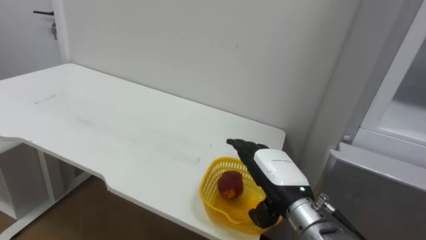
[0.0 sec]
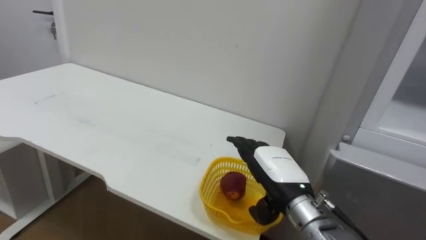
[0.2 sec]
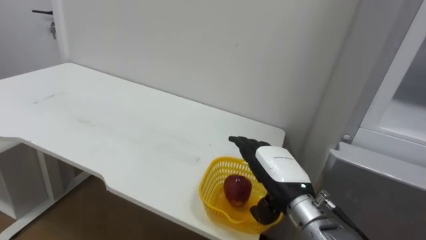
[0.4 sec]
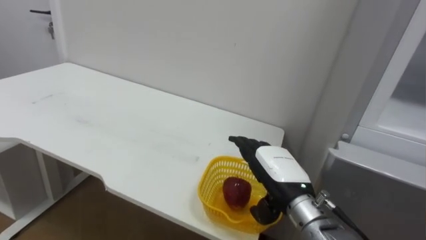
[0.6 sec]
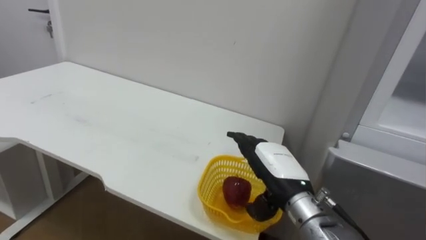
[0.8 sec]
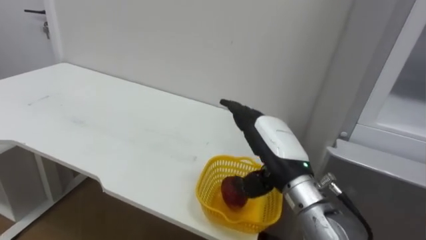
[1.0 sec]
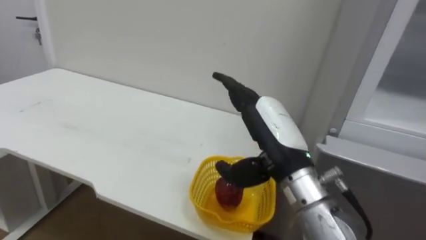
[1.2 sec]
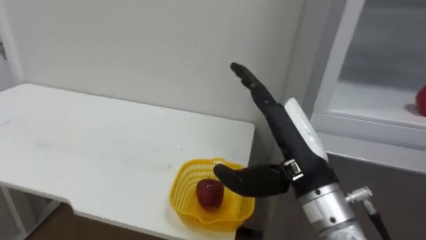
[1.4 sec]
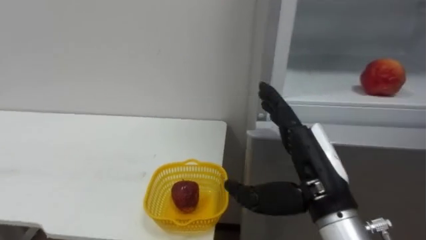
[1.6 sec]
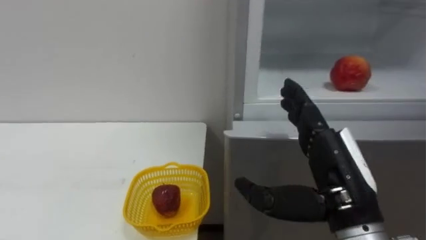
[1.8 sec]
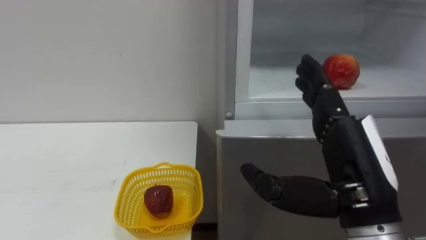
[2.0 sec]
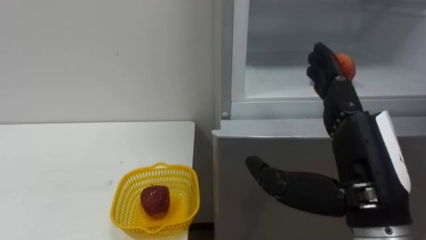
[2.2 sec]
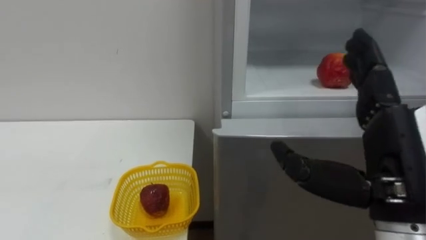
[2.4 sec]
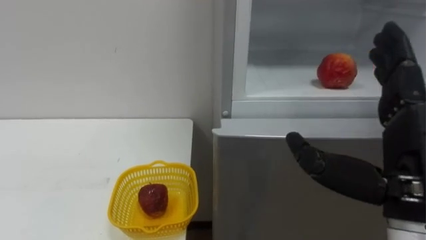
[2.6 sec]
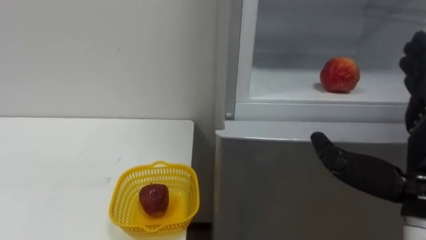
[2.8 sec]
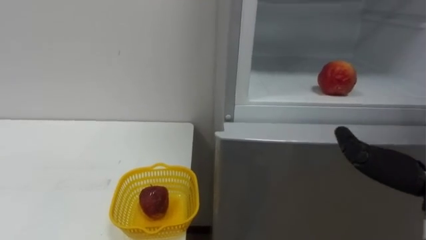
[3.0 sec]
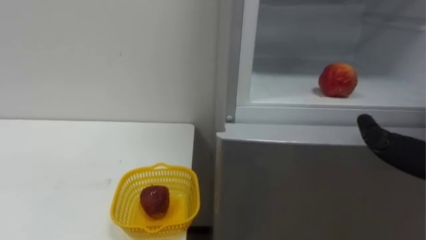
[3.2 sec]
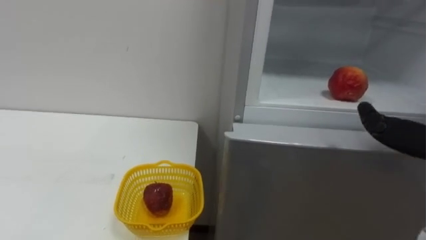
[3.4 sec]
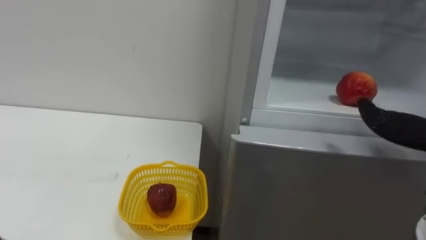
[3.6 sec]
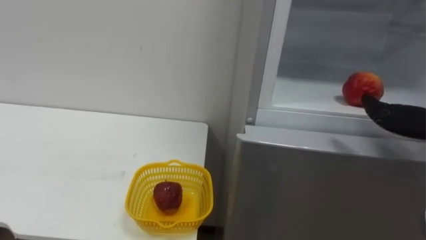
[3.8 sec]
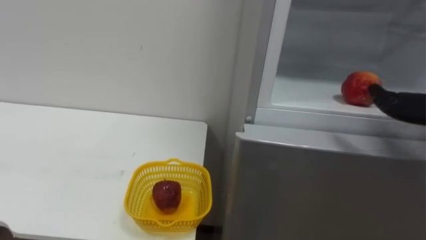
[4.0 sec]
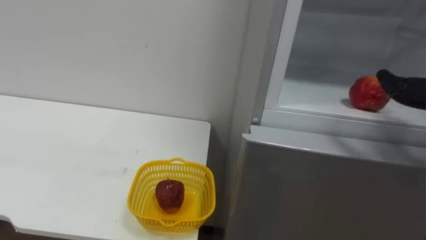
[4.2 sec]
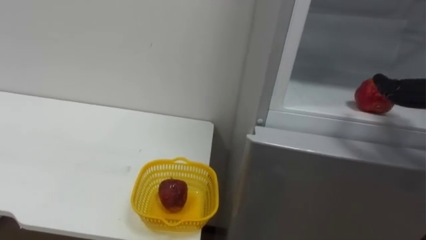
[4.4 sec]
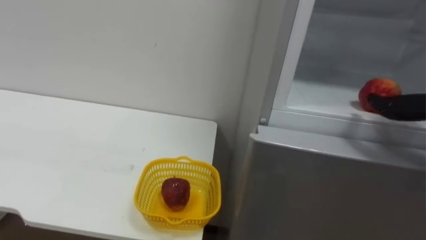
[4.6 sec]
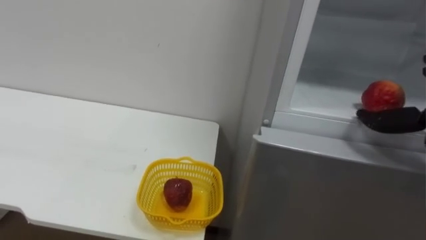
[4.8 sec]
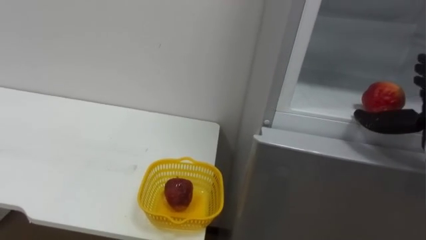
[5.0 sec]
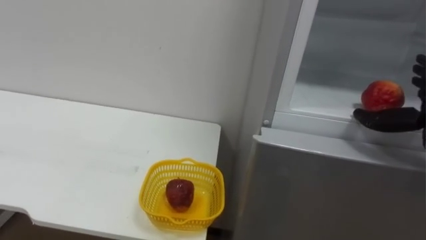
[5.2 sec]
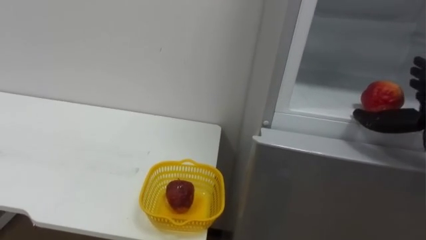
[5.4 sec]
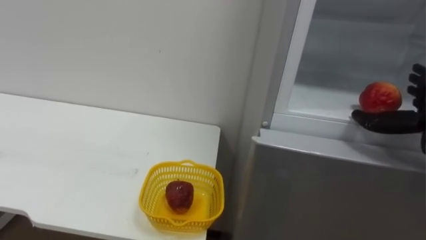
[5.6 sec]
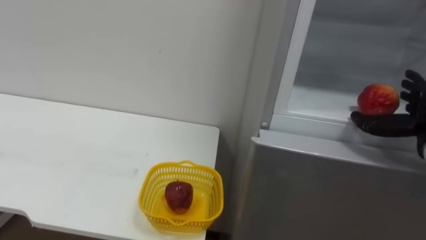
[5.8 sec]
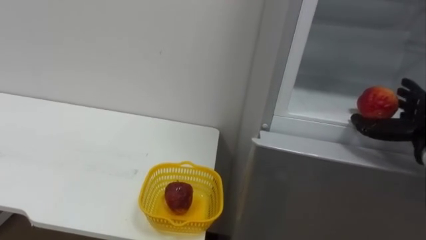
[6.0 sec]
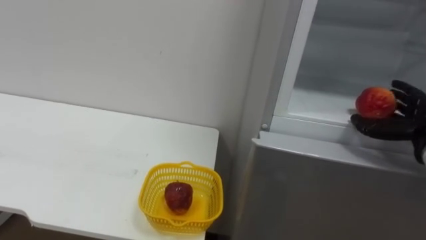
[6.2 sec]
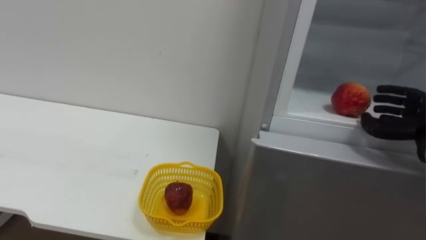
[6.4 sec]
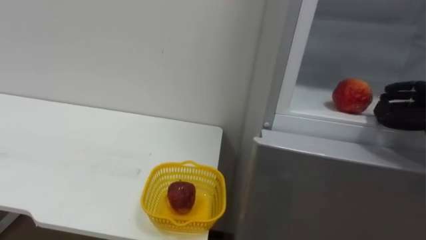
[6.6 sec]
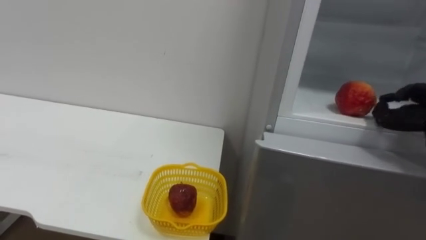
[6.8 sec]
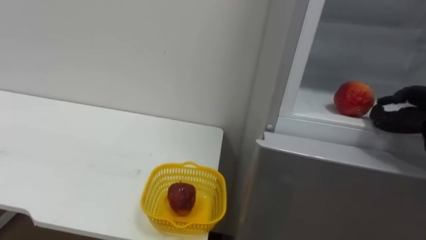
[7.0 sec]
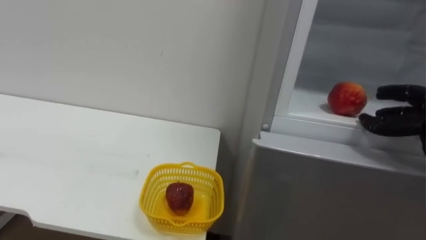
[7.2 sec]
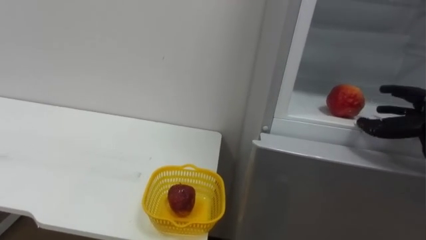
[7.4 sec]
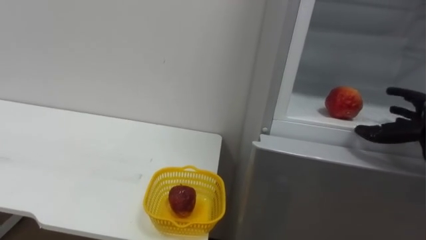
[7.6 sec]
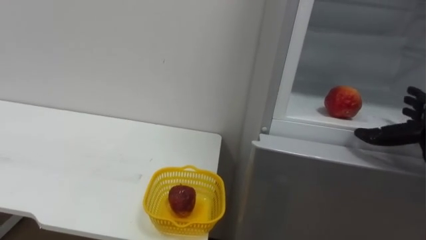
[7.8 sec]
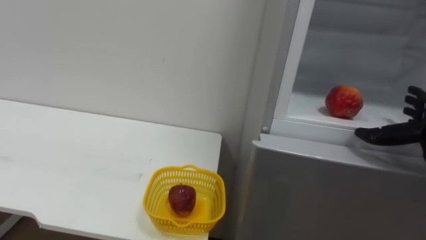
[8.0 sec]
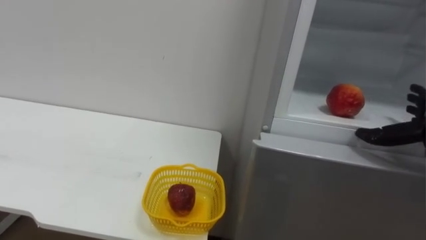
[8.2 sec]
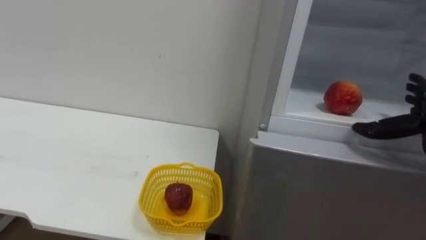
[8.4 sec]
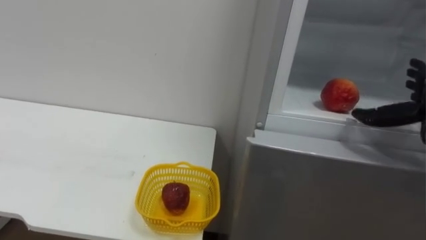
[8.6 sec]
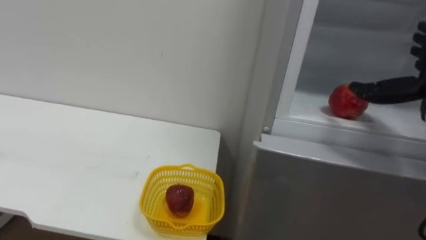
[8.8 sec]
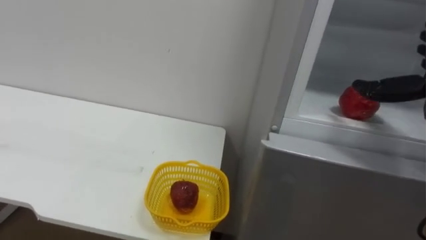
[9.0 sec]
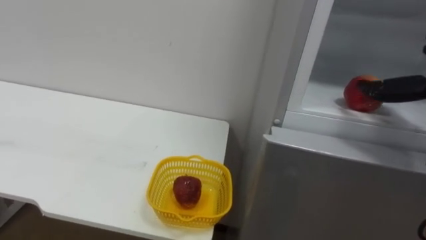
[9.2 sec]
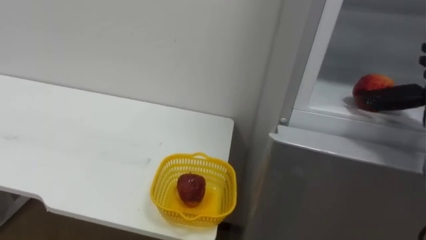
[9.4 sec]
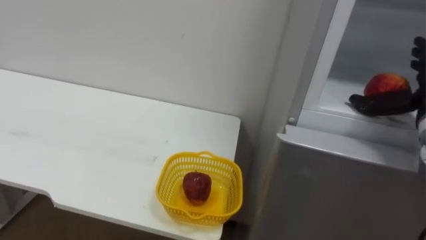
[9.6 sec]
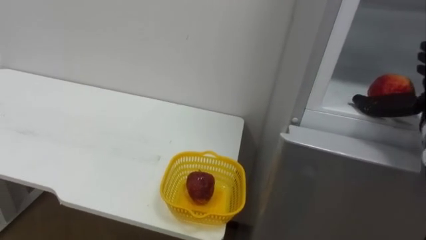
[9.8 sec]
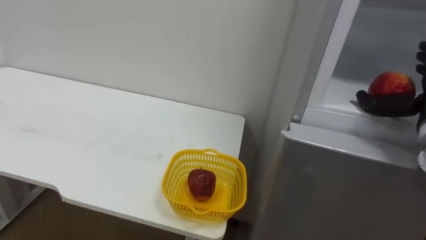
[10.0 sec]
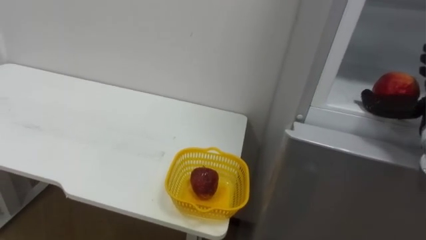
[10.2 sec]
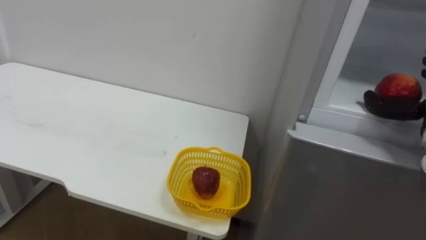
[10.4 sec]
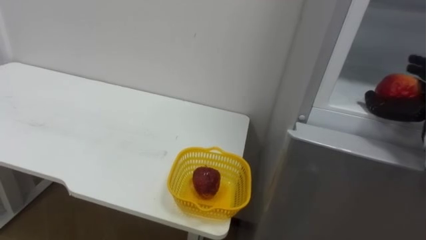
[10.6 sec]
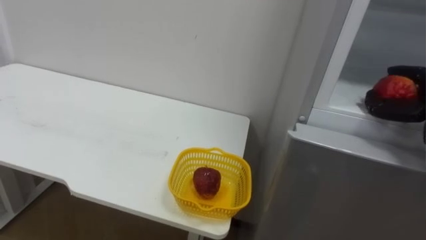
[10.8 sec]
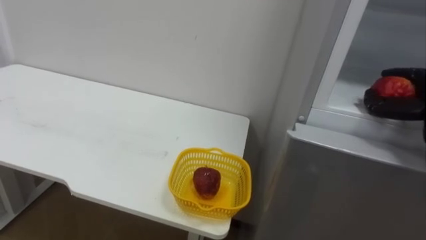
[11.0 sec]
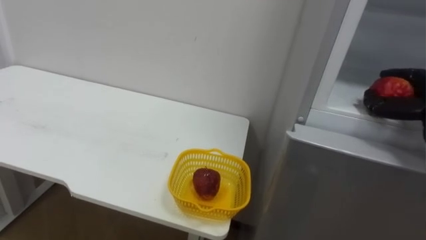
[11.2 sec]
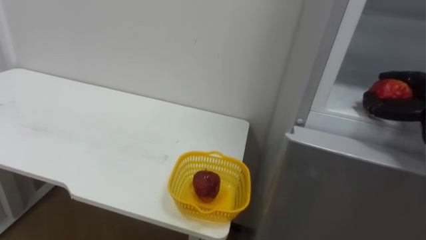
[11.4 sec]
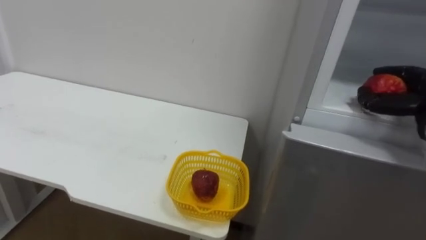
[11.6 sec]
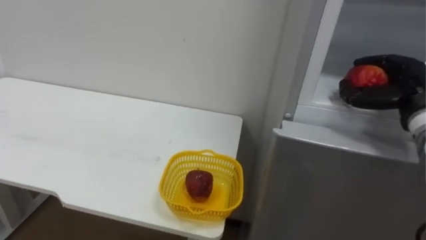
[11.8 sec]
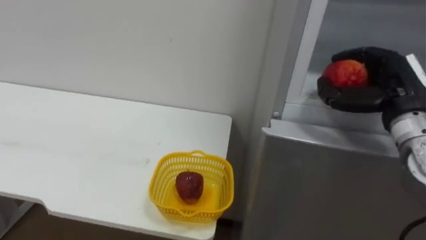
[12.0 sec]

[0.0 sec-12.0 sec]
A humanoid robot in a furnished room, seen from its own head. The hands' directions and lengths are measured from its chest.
Task of the whole recording: Open the refrigerator door, take out the apple and the pomegranate, place them in the fruit basket on the left, and close the refrigerator door.
0.0 sec to 1.6 sec: The right hand heads upward and backward, covering some 10 cm.

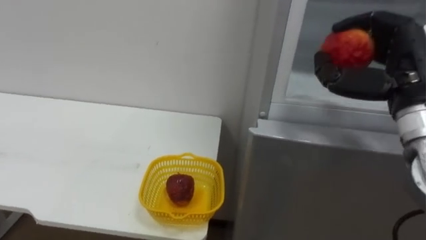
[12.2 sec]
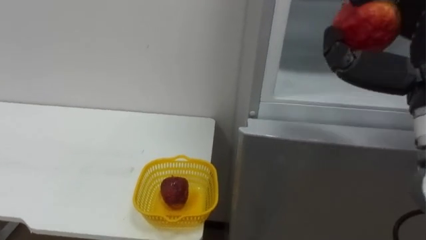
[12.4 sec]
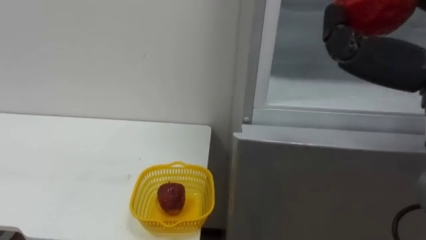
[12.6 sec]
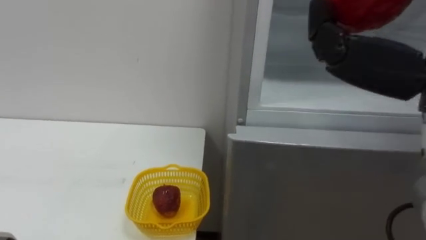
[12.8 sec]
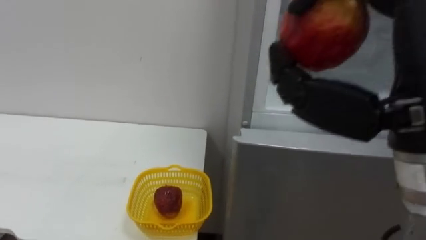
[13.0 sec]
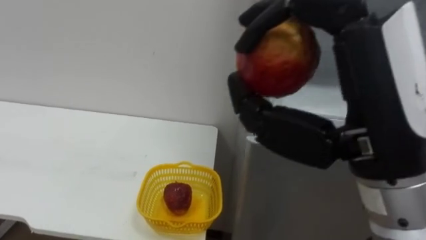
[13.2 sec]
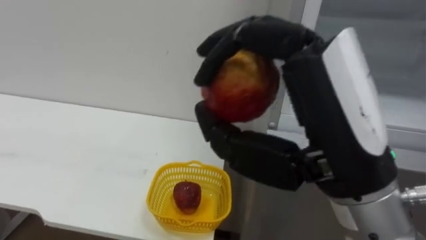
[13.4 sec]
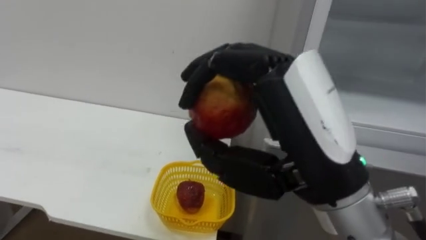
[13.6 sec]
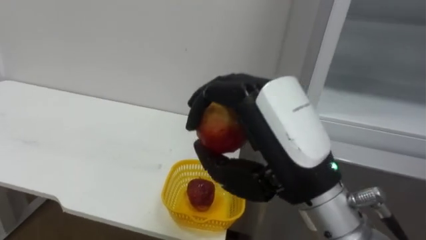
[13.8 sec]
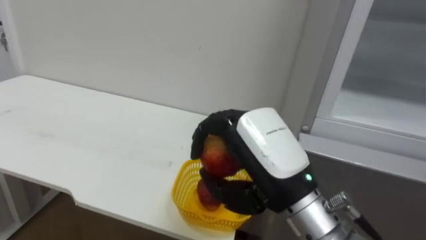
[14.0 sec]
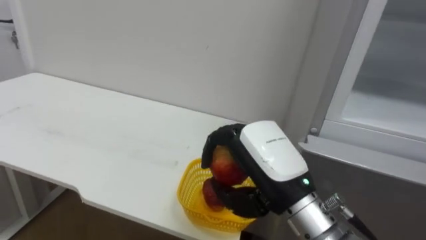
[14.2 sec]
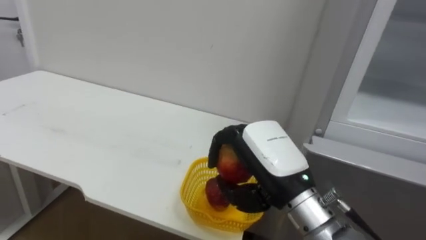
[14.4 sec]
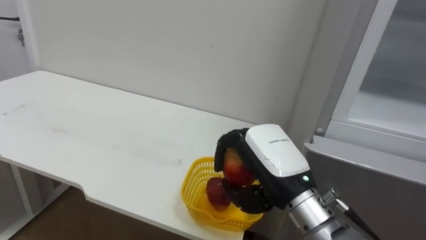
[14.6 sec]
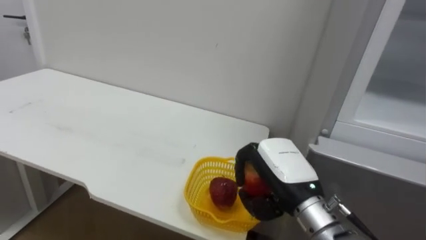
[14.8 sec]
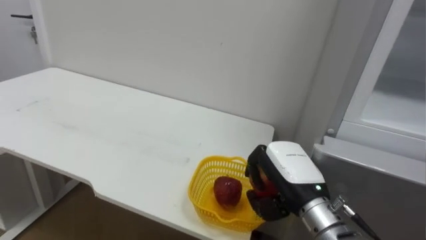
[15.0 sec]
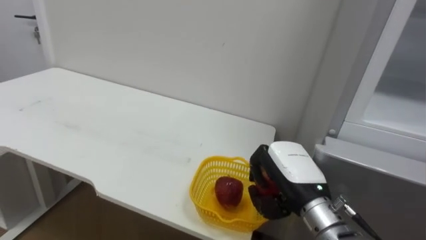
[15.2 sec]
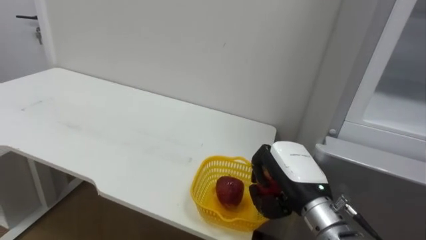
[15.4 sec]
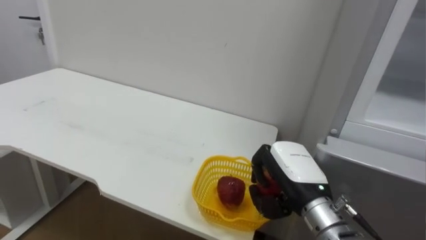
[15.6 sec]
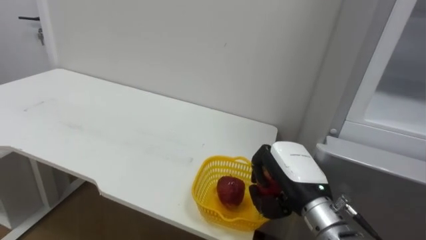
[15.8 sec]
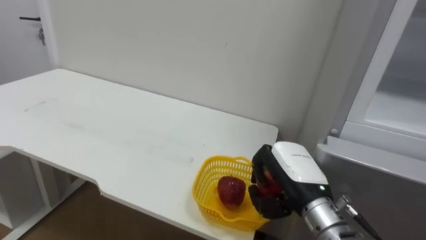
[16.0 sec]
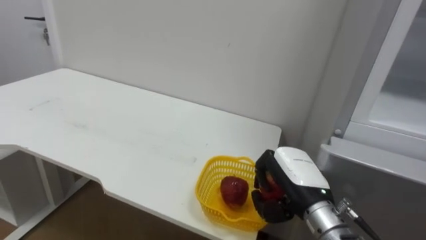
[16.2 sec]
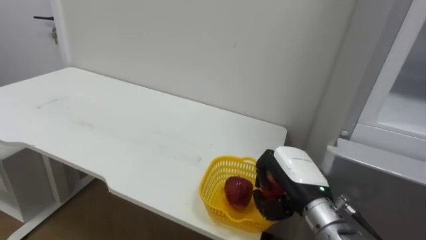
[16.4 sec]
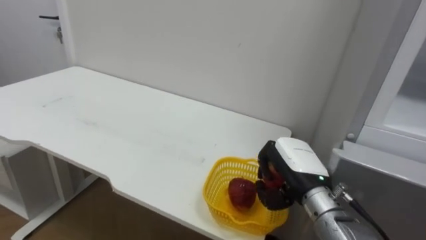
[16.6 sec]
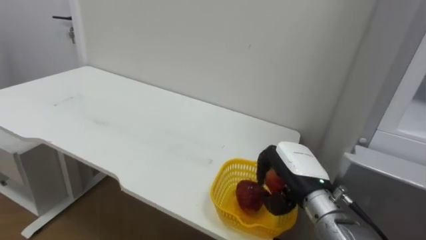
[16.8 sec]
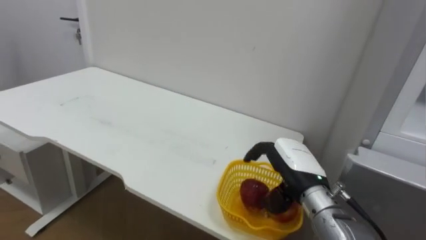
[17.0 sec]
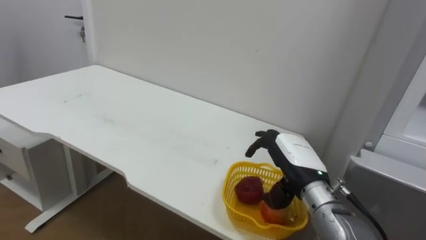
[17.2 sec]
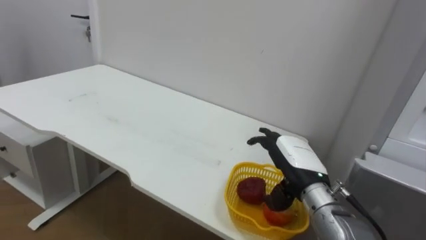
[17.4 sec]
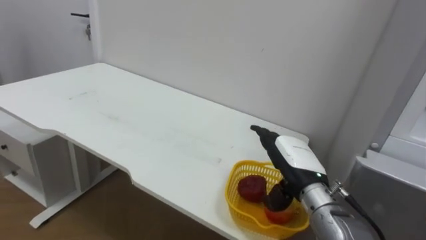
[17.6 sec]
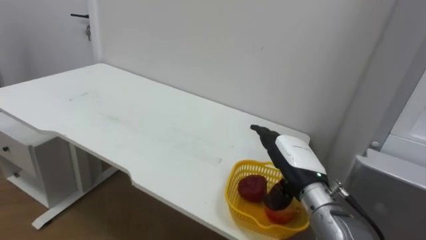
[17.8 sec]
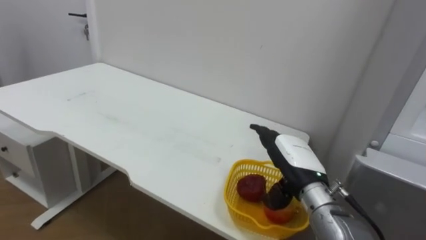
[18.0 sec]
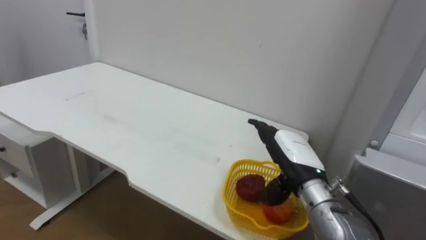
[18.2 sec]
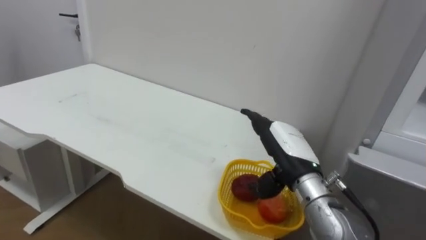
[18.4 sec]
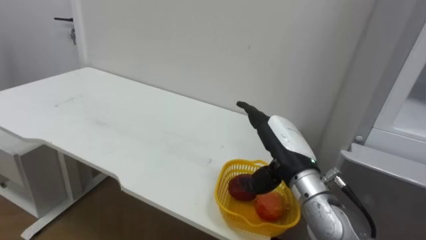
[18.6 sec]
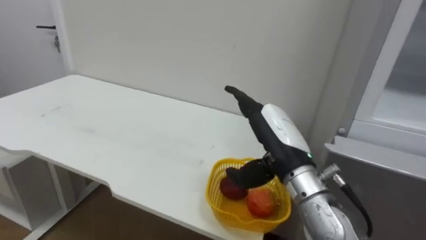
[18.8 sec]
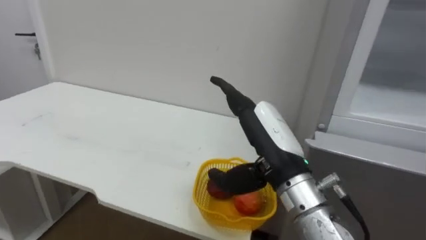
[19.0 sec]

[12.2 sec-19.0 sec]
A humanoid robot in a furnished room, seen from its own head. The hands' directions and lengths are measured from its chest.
Task of the whole recording: Open the refrigerator door, take out the apple and the pomegranate, place them in the fruit basket on the left, and close the refrigerator door.
13.6 sec to 15.0 sec: The right hand moves downward and forward, approximately 20 cm.
16.2 sec to 17.6 sec: The right hand opens up.
17.6 sec to 19.0 sec: The right hand heads upward, backward and to the left, covering approximately 15 cm.
